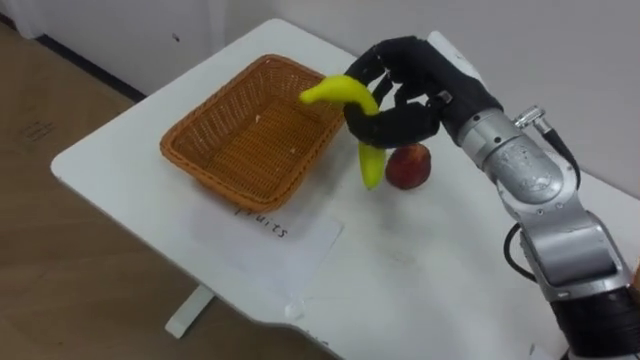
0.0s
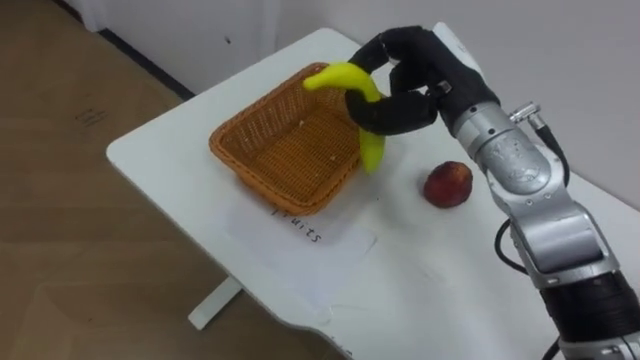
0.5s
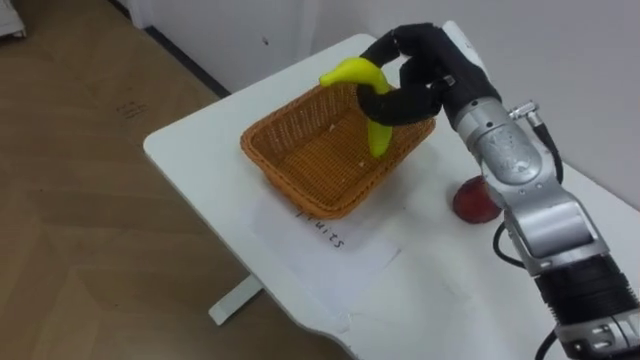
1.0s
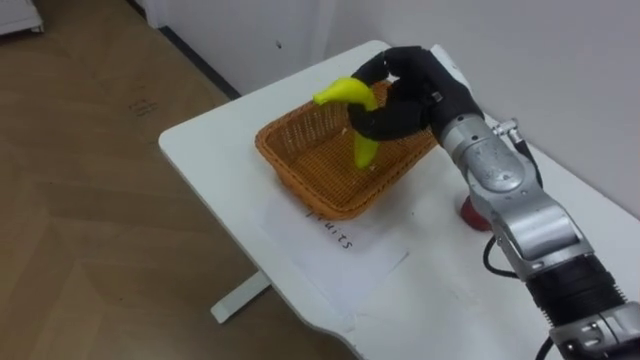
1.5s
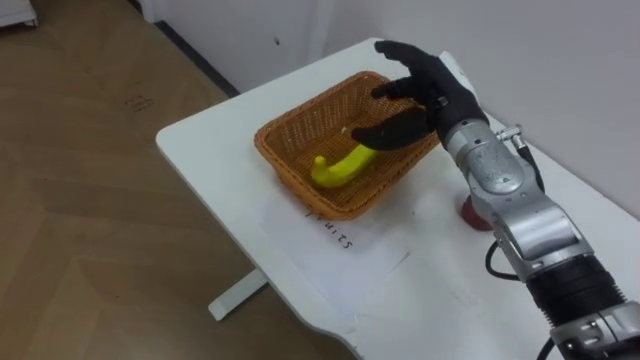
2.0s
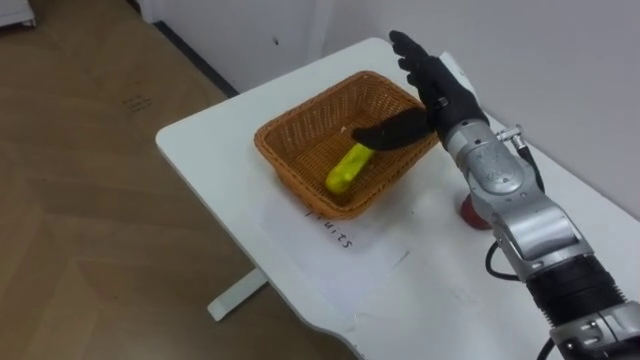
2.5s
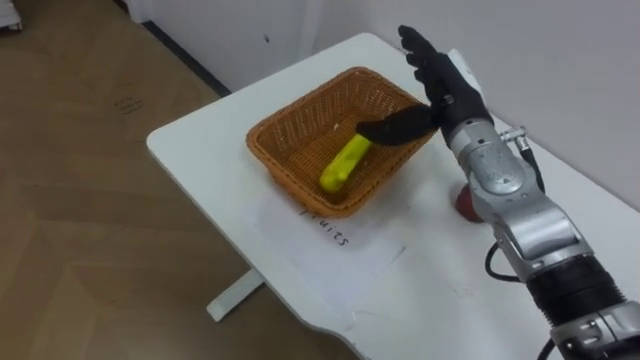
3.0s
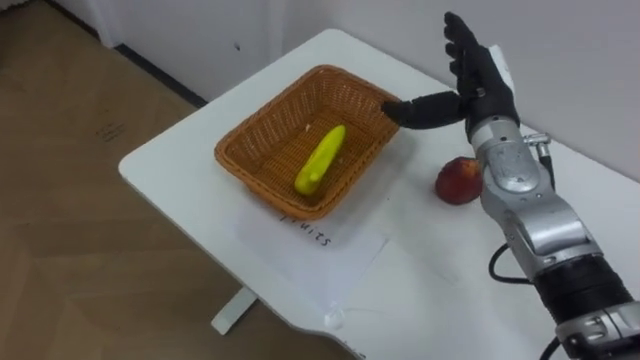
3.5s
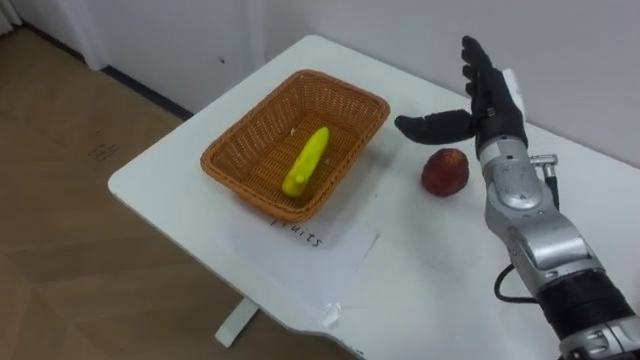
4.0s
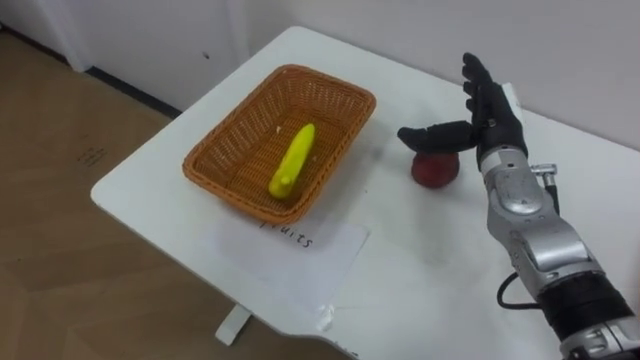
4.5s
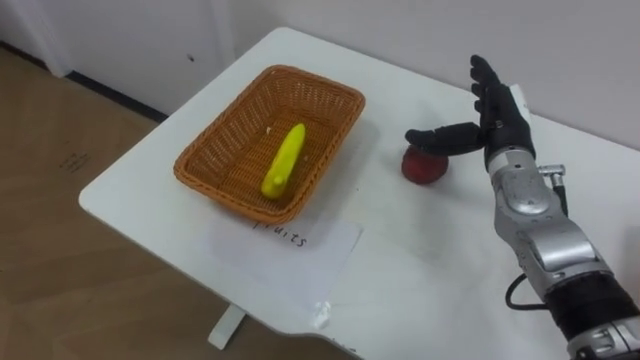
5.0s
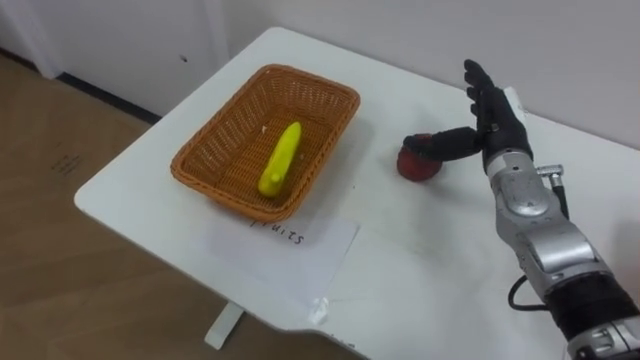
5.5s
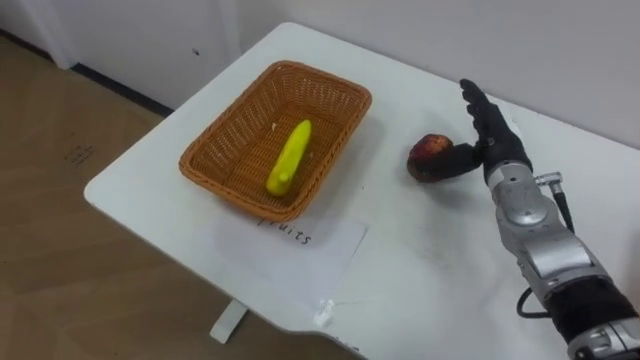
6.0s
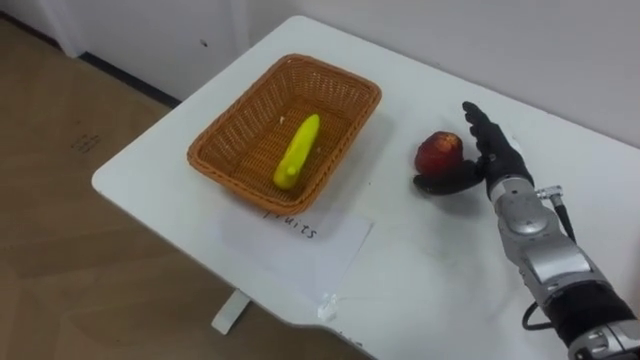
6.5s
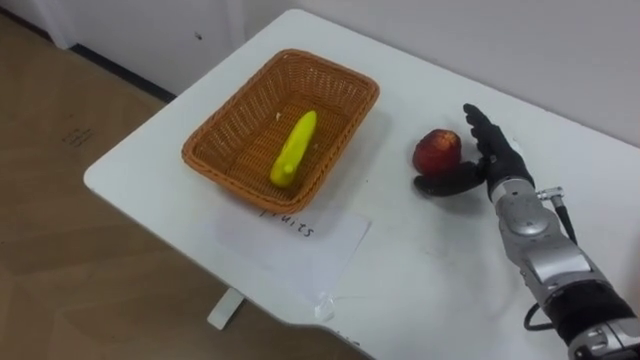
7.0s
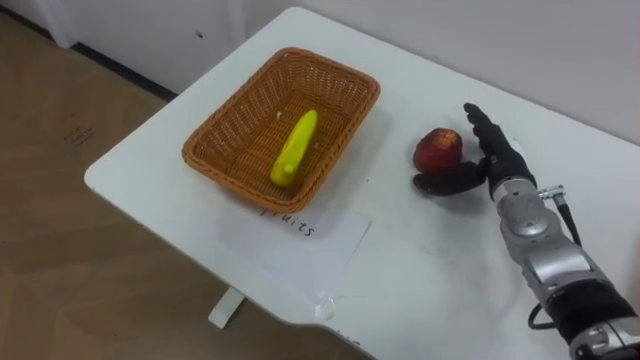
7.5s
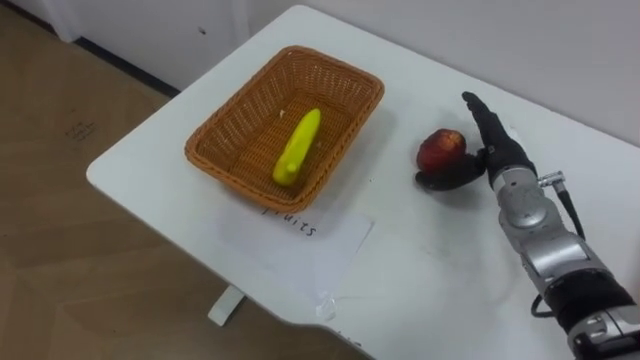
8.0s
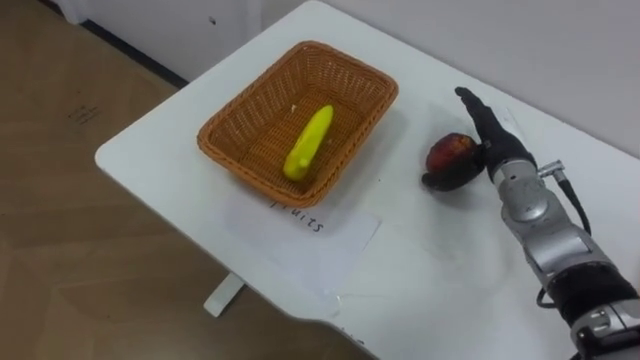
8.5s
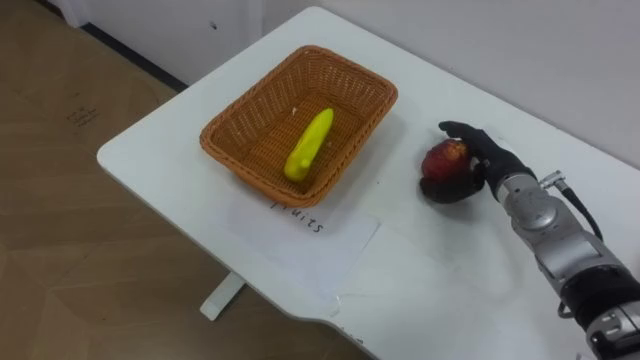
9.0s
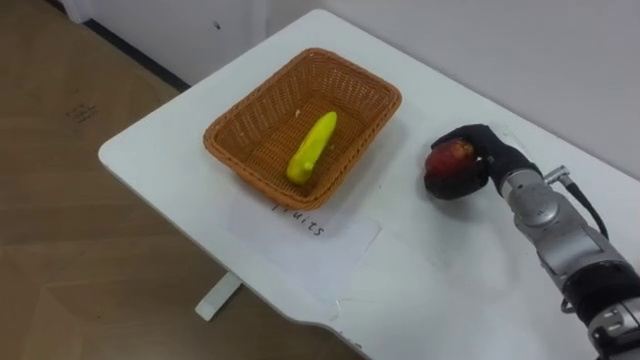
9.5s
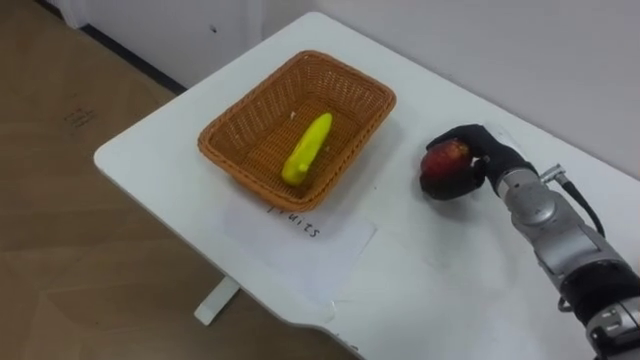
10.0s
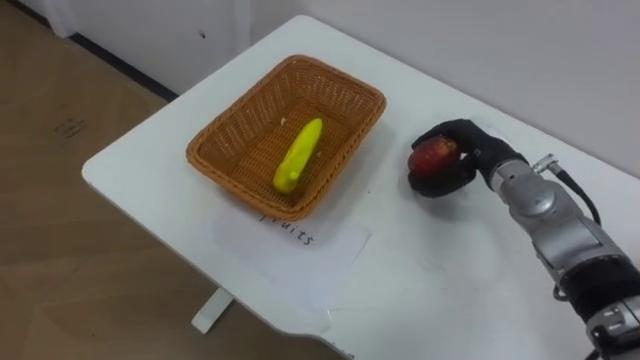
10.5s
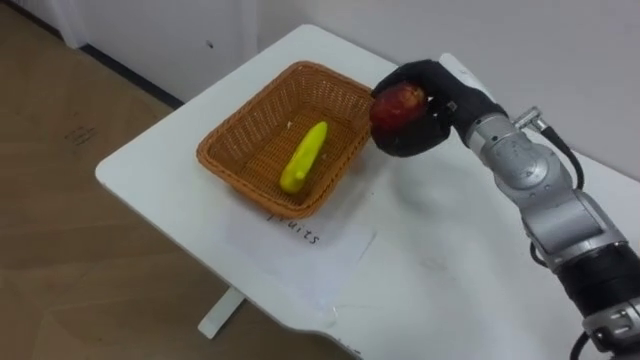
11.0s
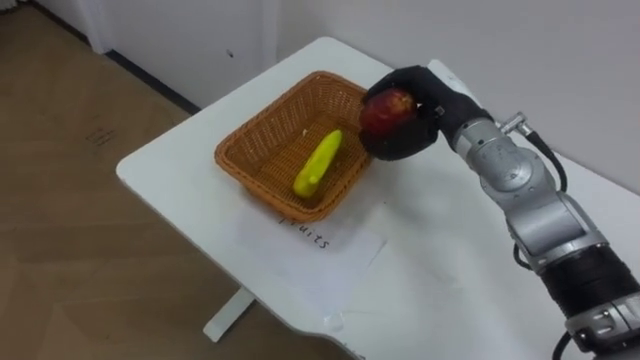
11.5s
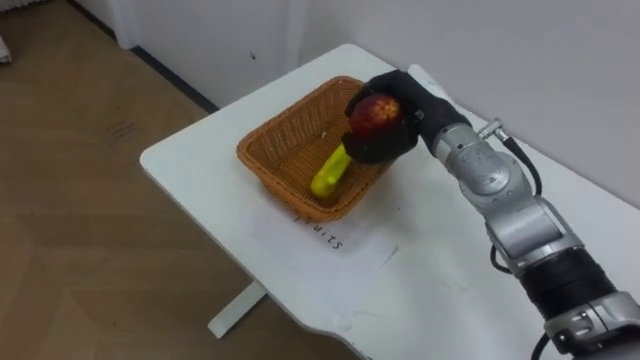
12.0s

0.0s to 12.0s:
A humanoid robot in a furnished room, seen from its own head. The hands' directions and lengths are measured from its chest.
Task of the whole recording: Separate the items on the table and place them into the two baskets.
0.0s to 2.0s: The right hand ends up some 5 cm from where it was, and opens its fingers.
2.0s to 4.0s: The right hand is displaced to the right by approximately 5 cm.
4.0s to 6.0s: The right hand changes place by some 5 cm.
8.0s to 10.0s: The right hand closes its fingers.
10.0s to 12.0s: The right hand goes about 15 cm to the left and upward.

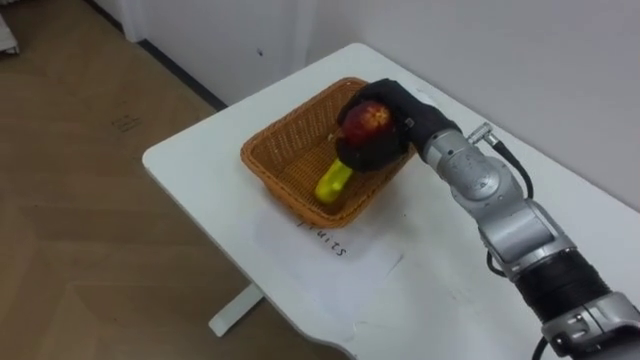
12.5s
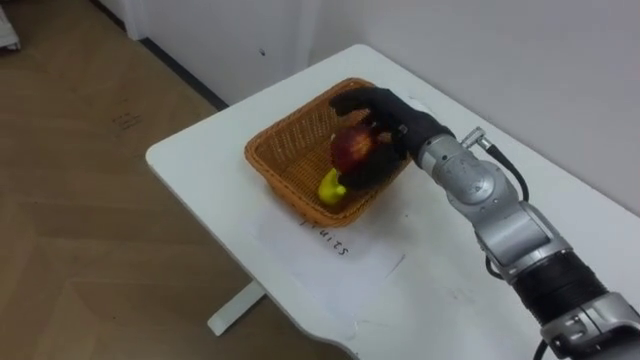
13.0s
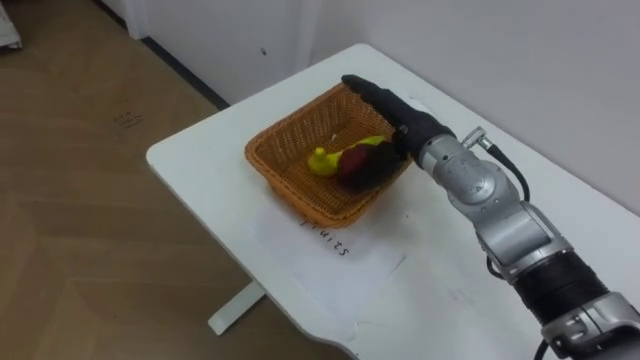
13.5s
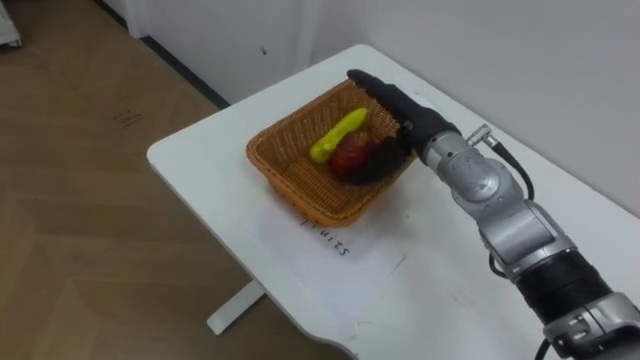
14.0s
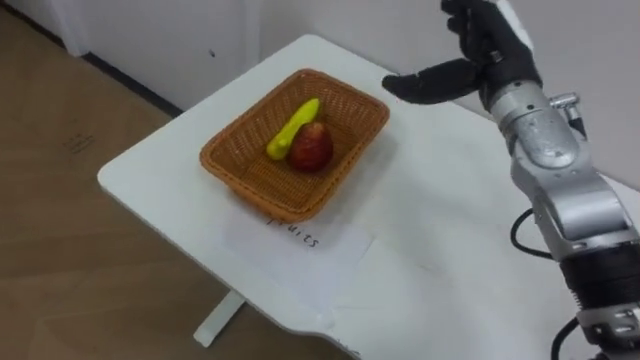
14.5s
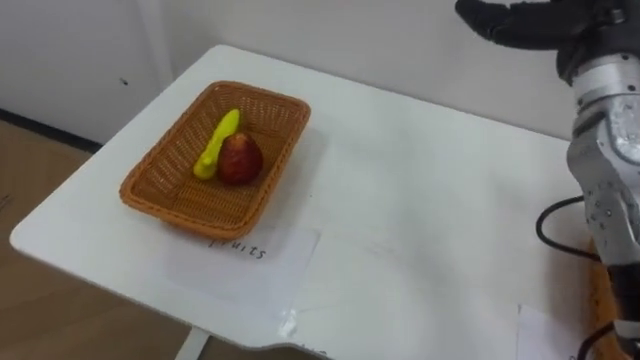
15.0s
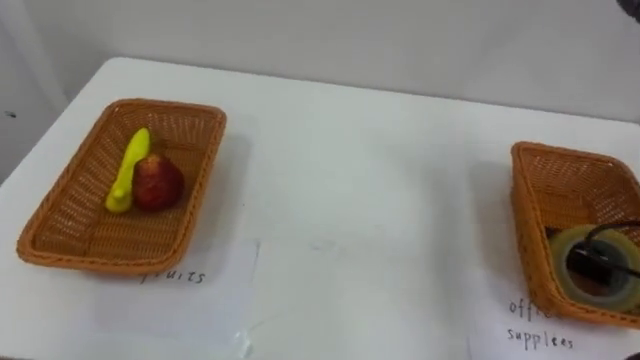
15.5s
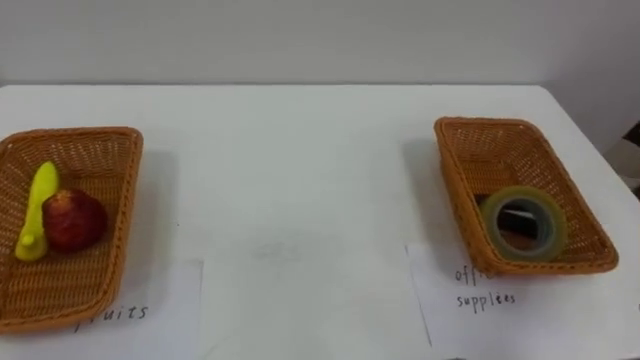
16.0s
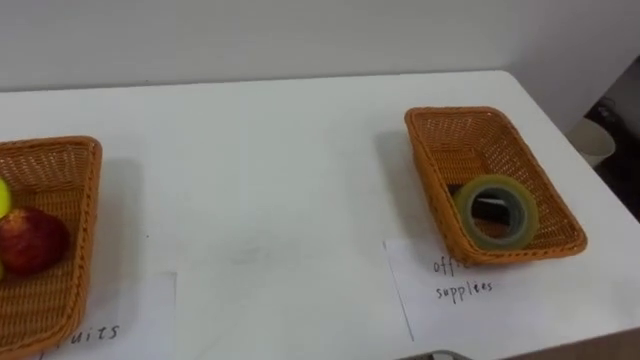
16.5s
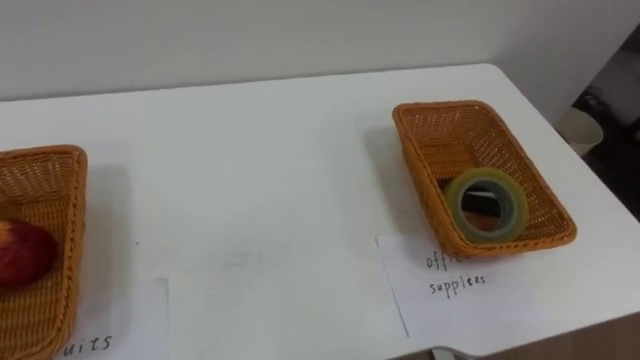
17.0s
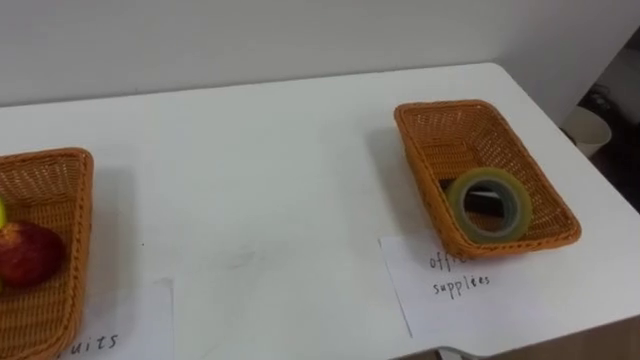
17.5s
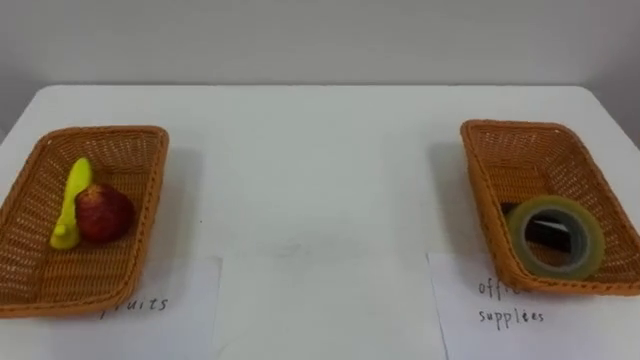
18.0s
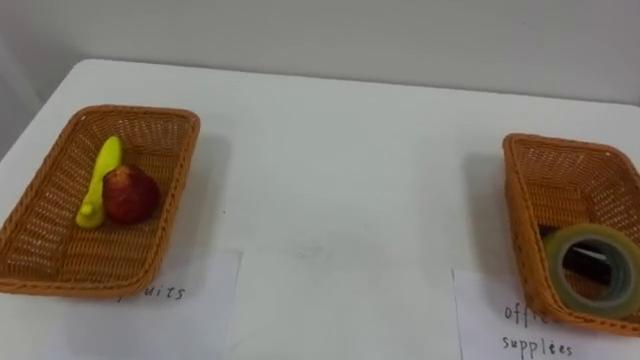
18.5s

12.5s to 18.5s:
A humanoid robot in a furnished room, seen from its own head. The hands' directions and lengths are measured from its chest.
Task of the whole recording: Separate the items on the table and place them into the two baskets.
12.5s to 14.5s: The right hand is displaced upward and to the right by approximately 10 cm, and opens.

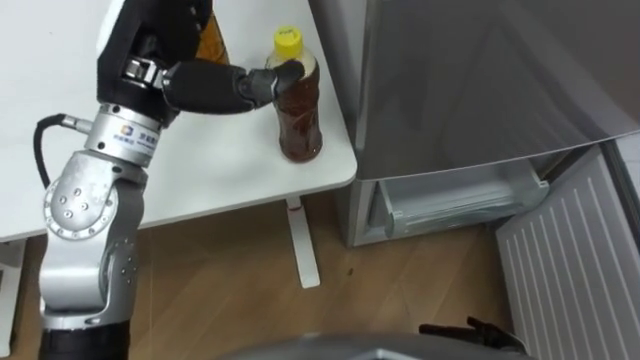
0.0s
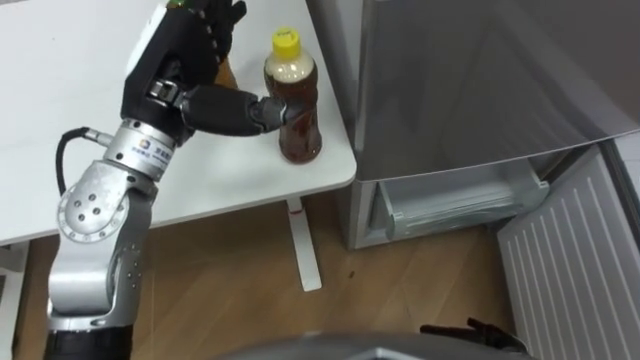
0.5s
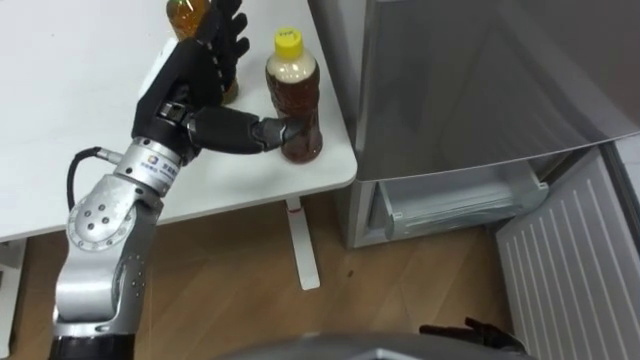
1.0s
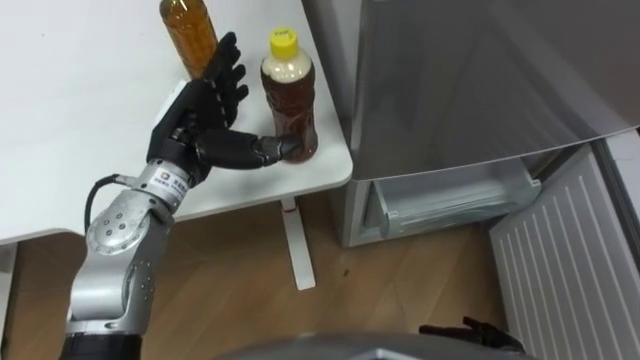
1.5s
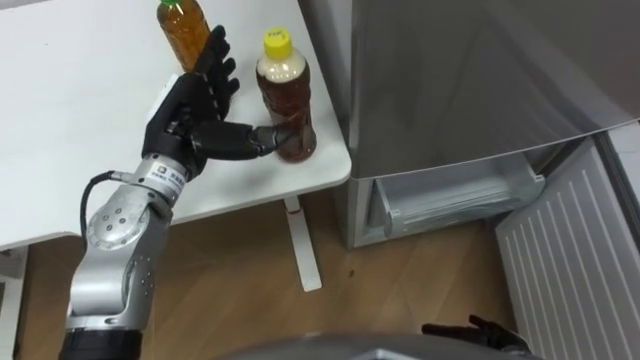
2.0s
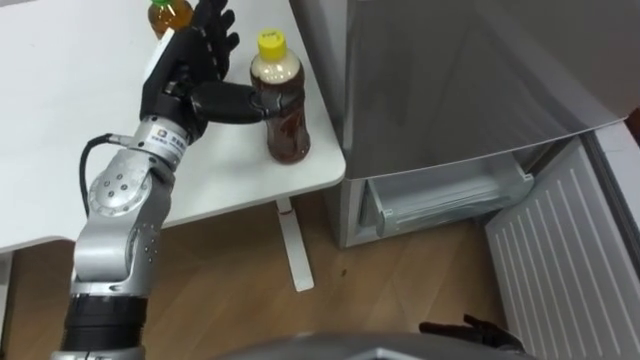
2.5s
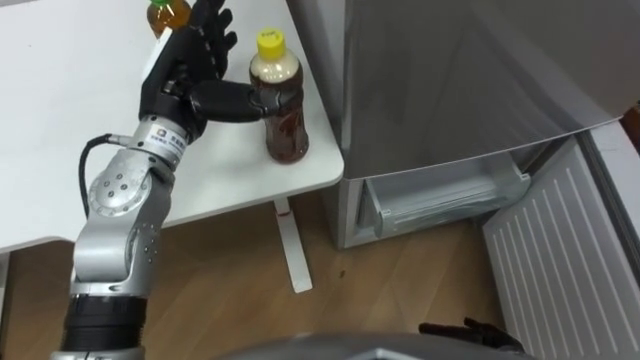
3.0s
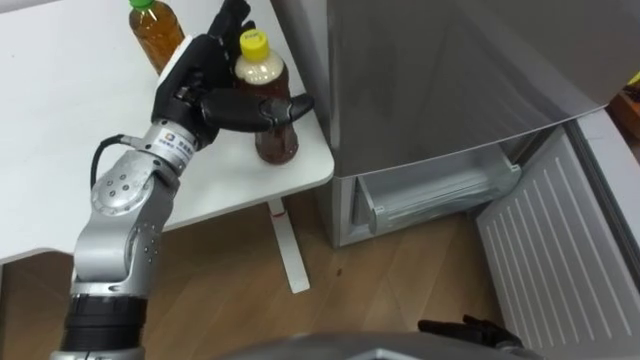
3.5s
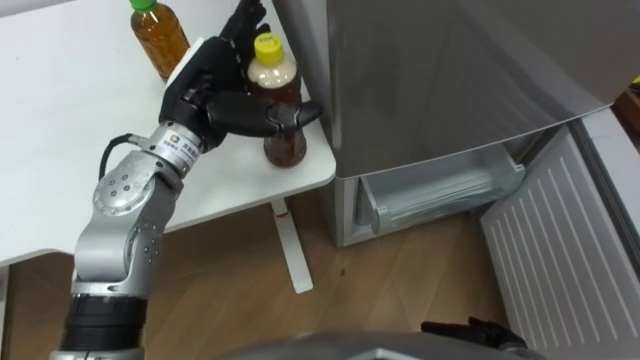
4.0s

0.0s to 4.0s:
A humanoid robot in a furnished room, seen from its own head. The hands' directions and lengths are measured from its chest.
Task of the whole recording: Place the drink on the table on the bottom shelf of the refrigerator, then close the drawer and the refrigerator door.
0.0s to 2.0s: The left hand shifts some 10 cm downward.
